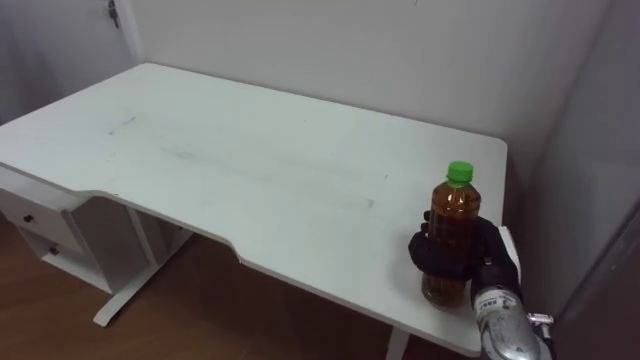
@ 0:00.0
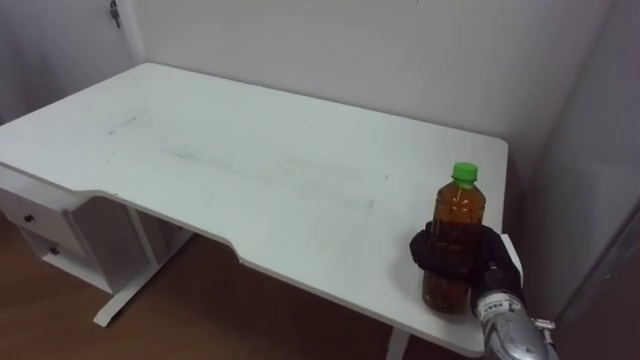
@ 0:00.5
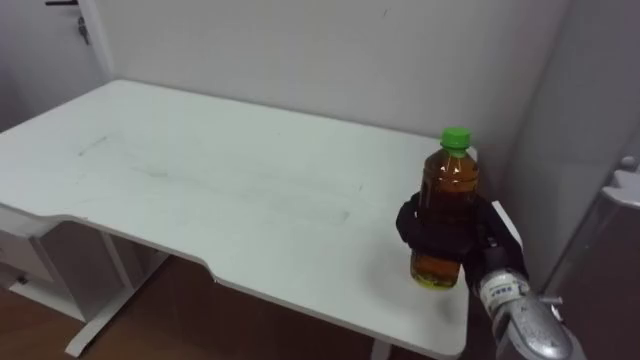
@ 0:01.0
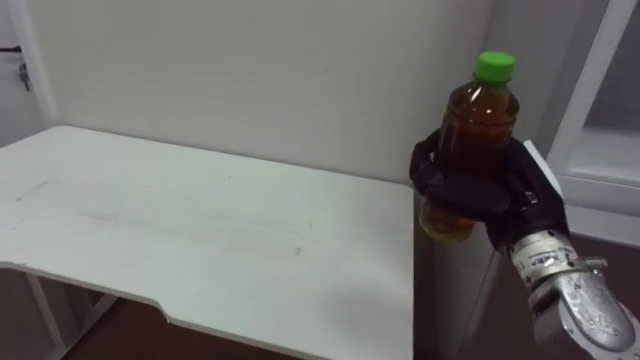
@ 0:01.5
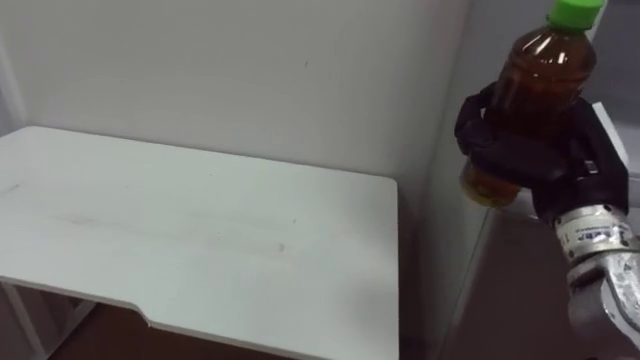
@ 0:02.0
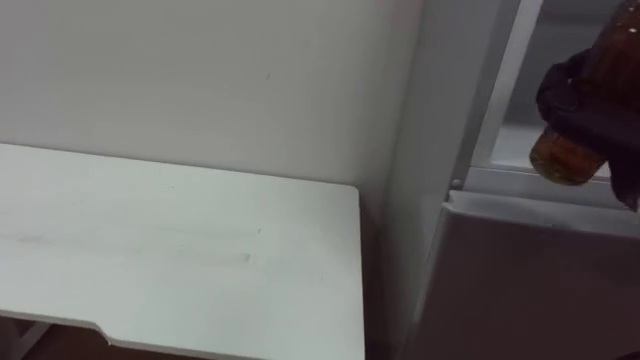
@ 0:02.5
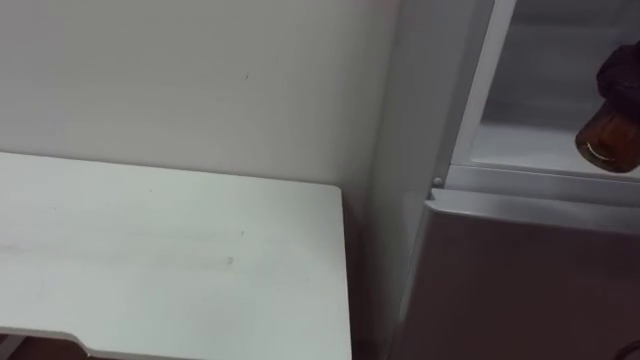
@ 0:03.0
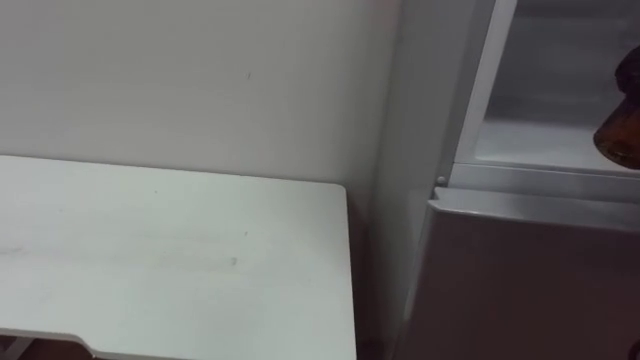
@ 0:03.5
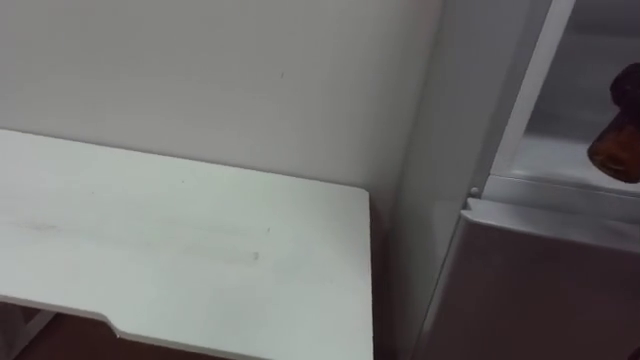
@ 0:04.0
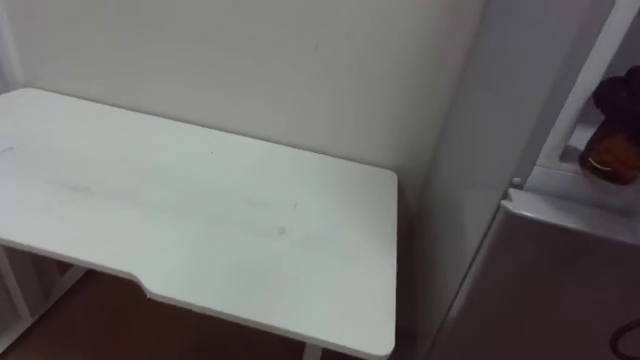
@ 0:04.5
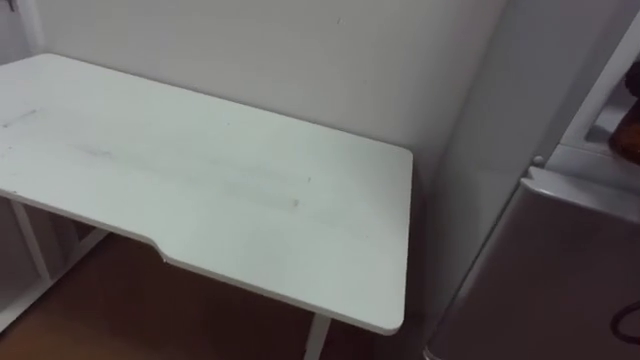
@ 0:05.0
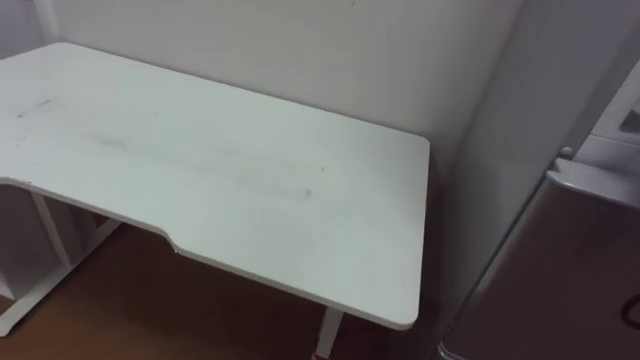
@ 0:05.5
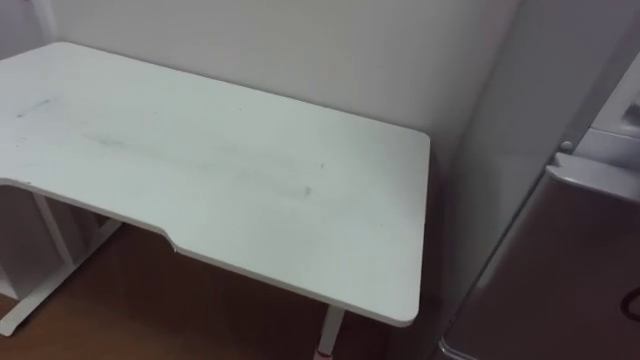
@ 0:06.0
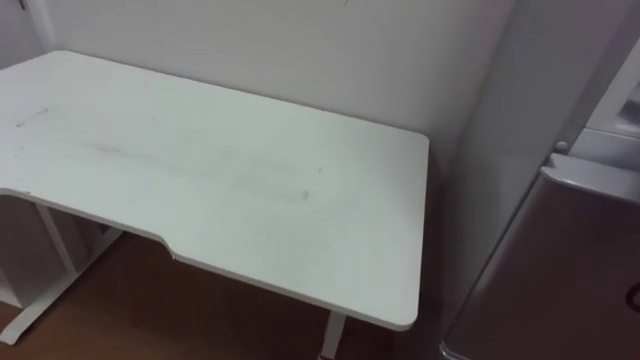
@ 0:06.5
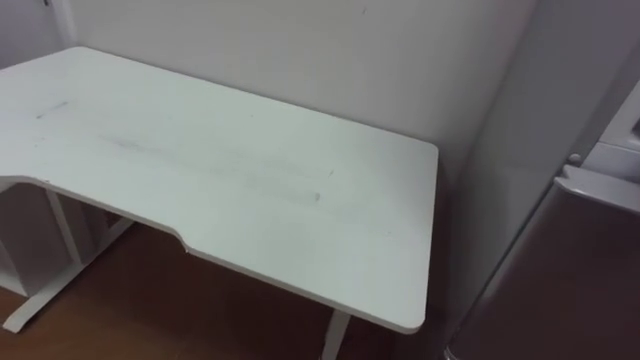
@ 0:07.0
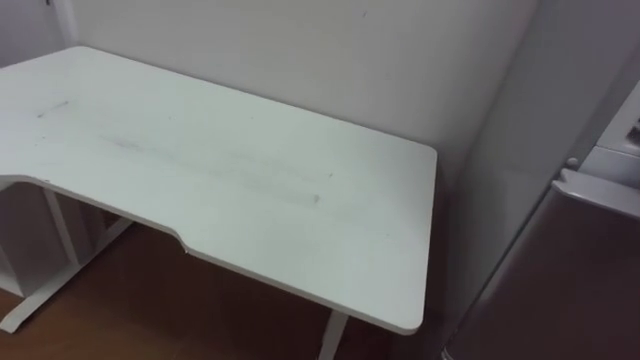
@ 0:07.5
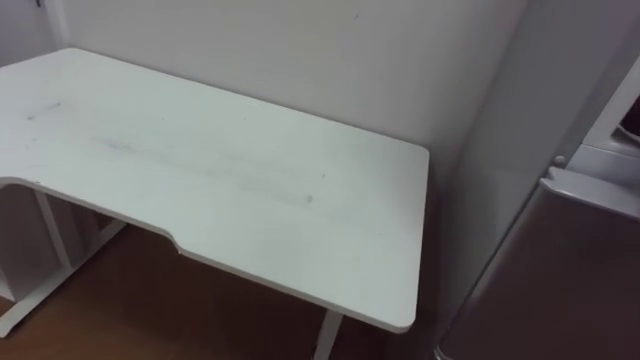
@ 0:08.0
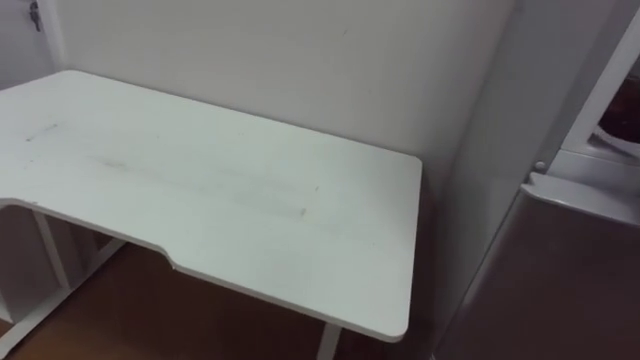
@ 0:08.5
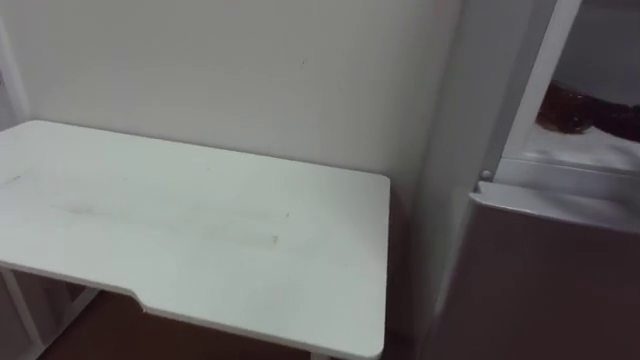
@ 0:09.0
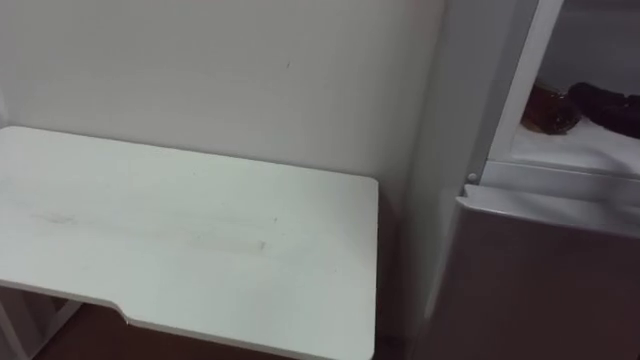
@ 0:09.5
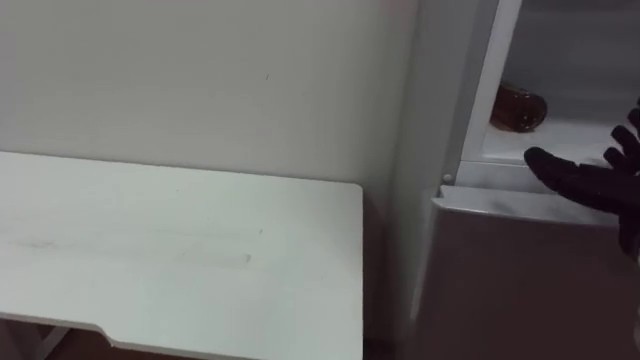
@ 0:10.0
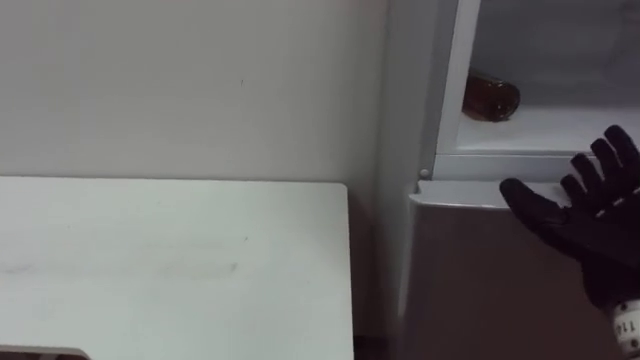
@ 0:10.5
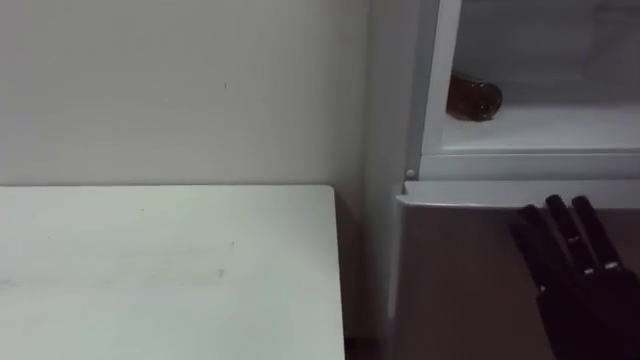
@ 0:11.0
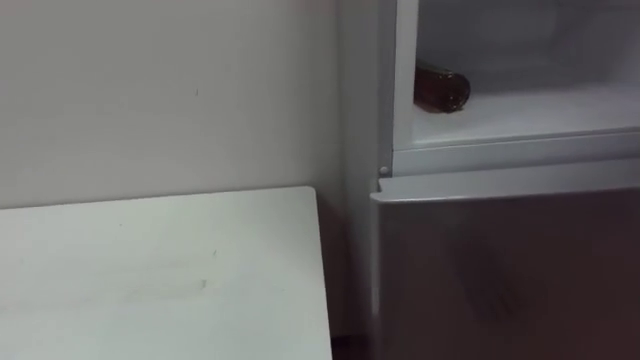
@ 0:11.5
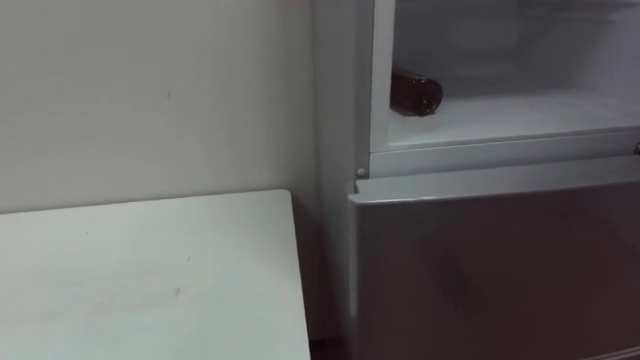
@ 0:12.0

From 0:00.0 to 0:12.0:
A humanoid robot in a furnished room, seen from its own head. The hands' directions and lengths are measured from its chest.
Task of the whole recording: Open the upper refrigerator door, put the drink from the table into the refrigerator, and then close the refrigerator door.
From 0:00.0 to 0:02.0: The right hand moves upward, roughly 15 cm.

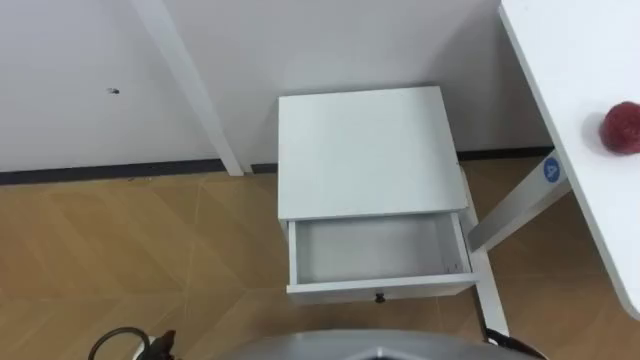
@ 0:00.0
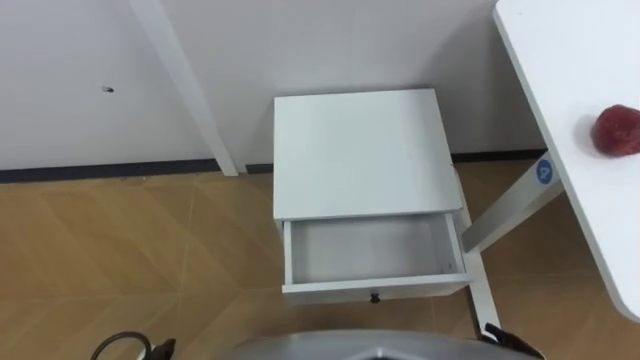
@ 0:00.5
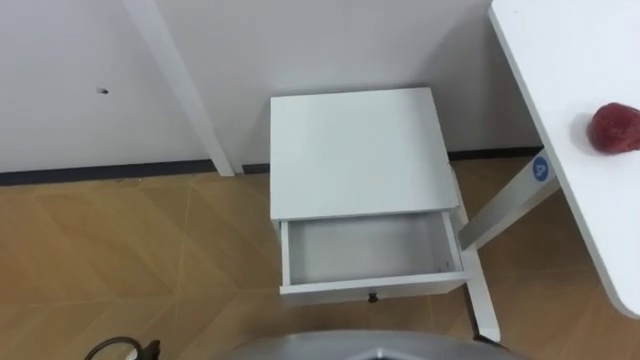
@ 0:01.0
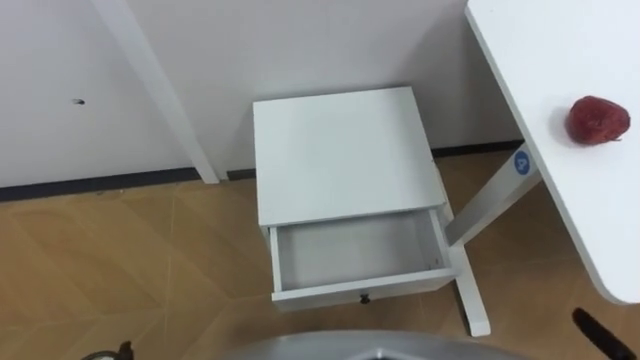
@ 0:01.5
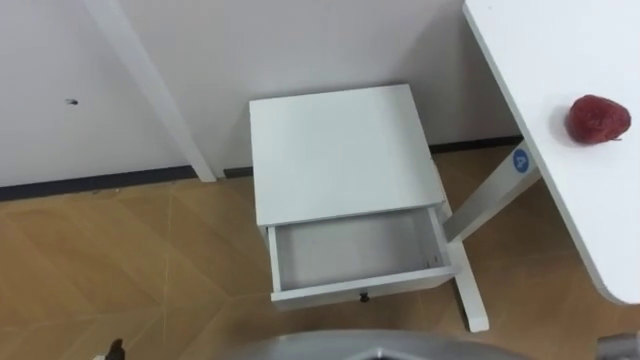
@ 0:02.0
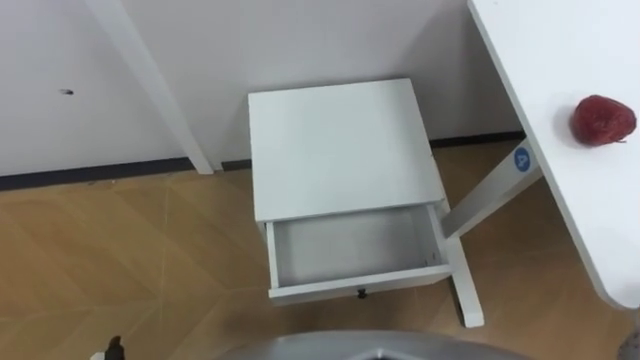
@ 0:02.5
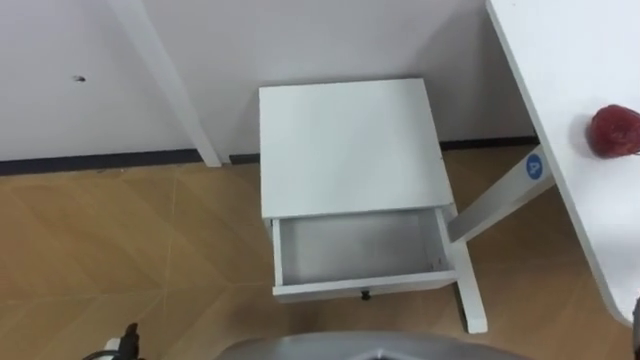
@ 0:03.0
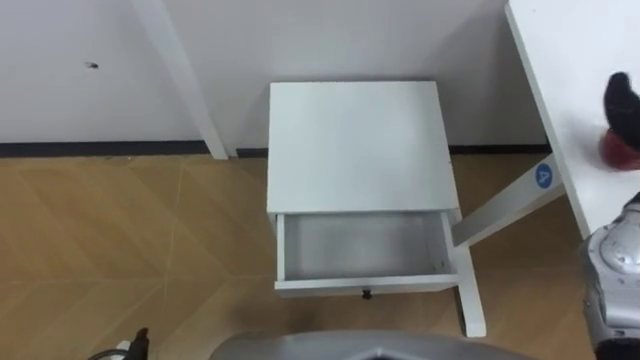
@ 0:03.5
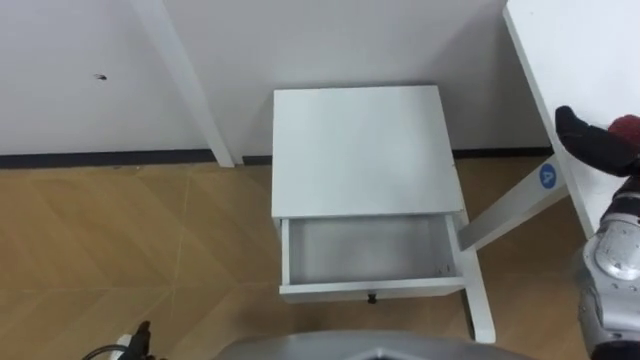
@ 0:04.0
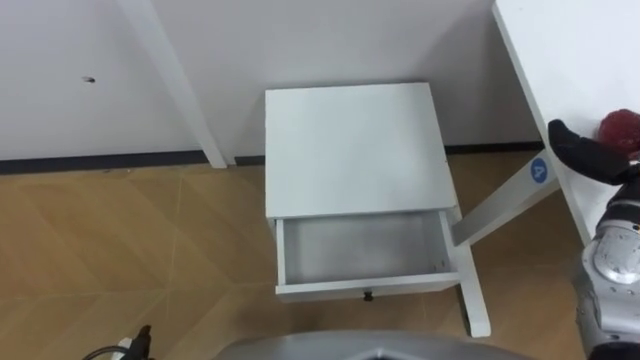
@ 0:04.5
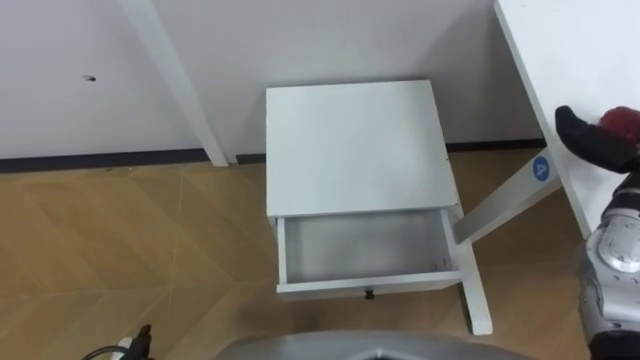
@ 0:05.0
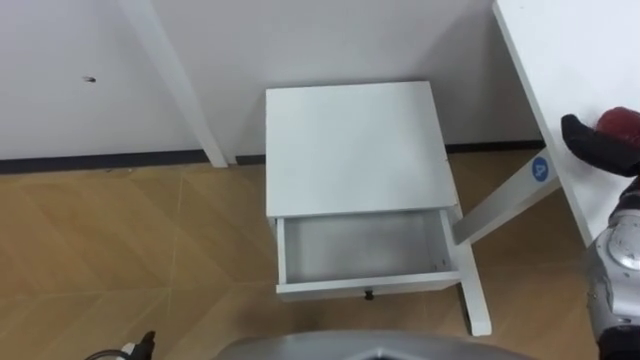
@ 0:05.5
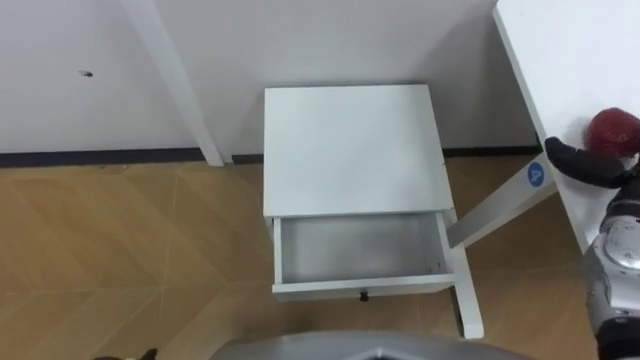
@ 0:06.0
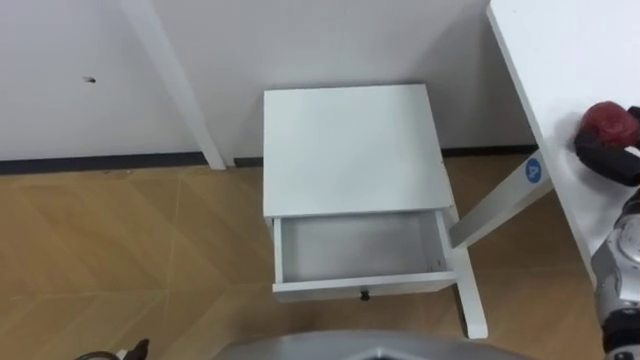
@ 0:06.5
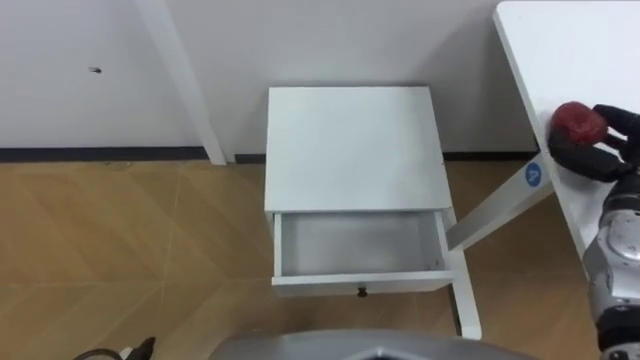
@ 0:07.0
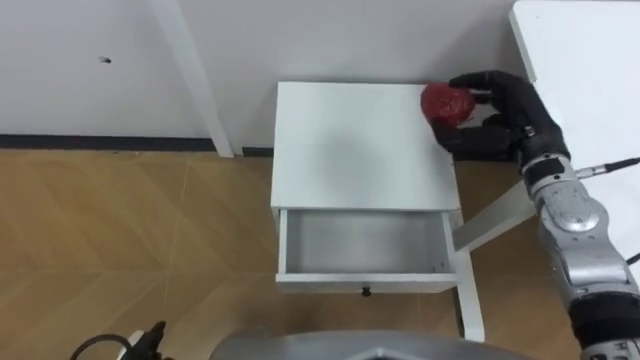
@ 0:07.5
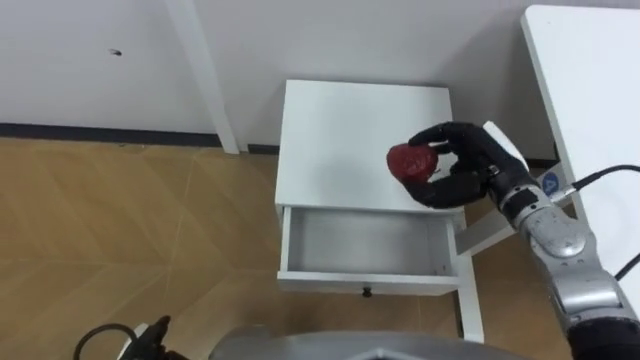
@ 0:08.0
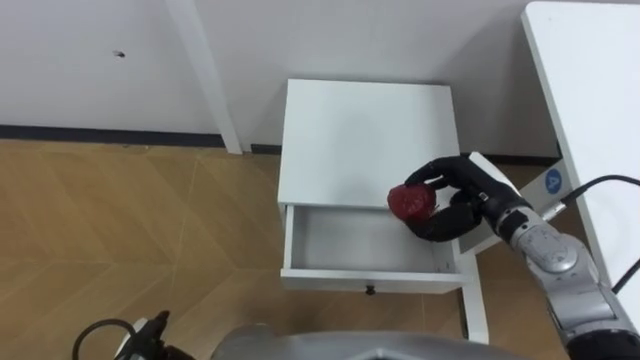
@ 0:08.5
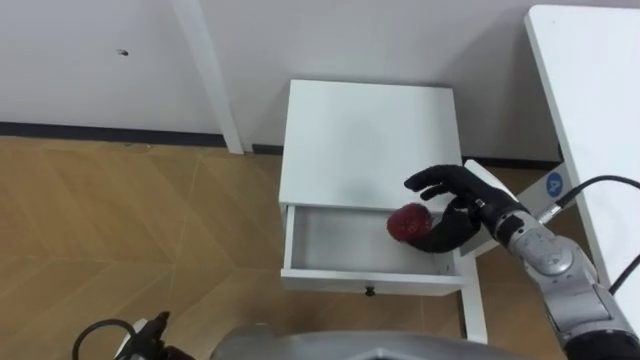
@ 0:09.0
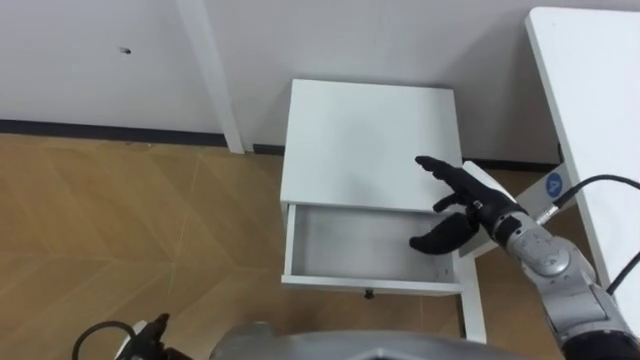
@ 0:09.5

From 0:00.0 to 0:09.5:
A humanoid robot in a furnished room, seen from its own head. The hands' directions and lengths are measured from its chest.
Task of the whole recording: Pick up the apple from the table, put it in the drawer, and close the drawer with leg.
From 0:07.5 to 0:09.5: The right hand travels downward and backward by roughly 10 cm, and opens up.
